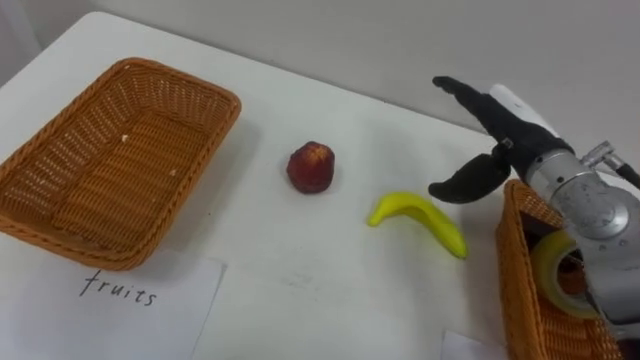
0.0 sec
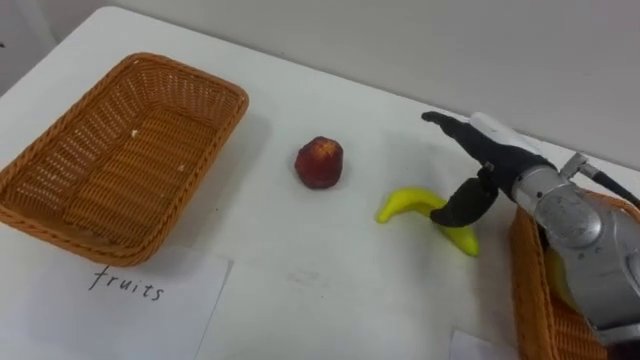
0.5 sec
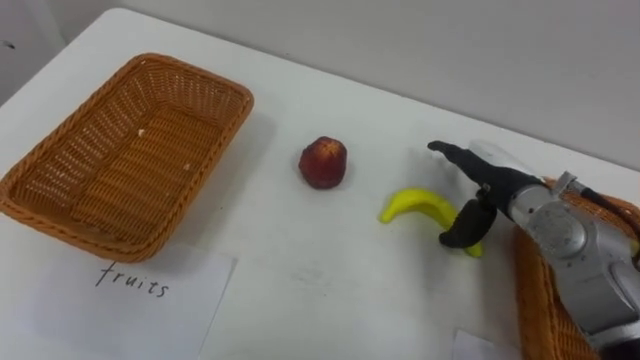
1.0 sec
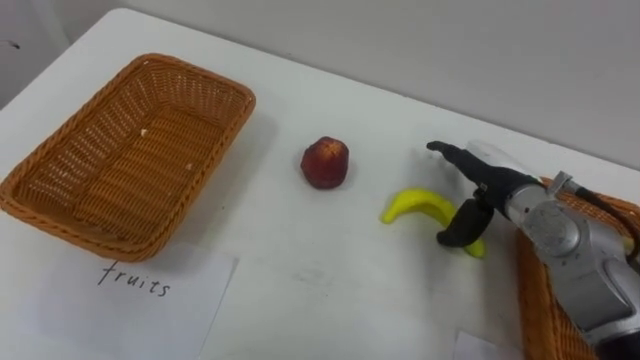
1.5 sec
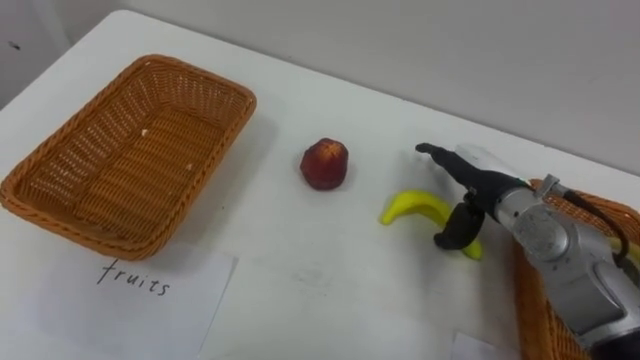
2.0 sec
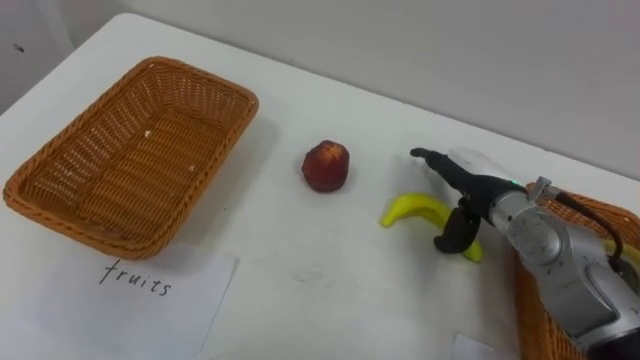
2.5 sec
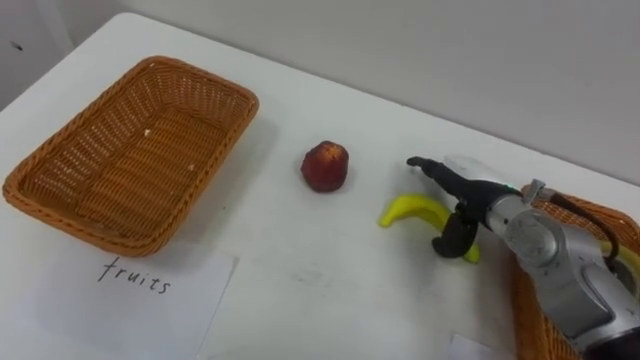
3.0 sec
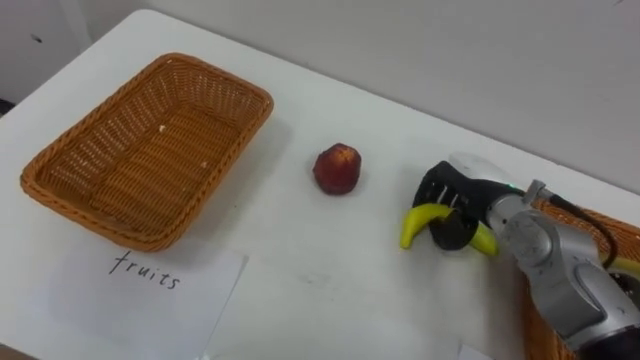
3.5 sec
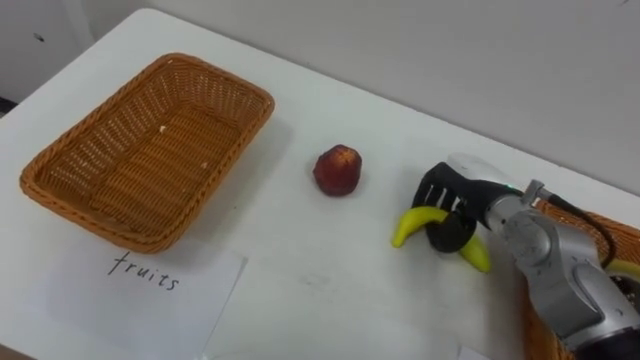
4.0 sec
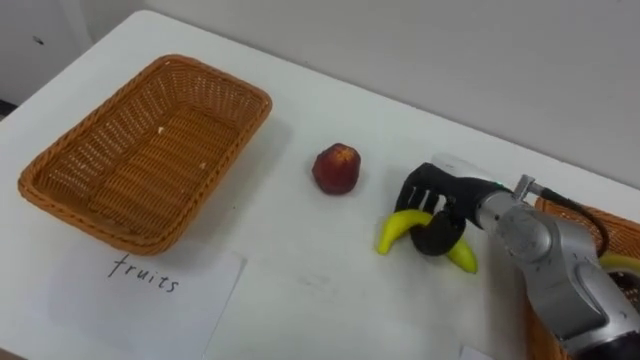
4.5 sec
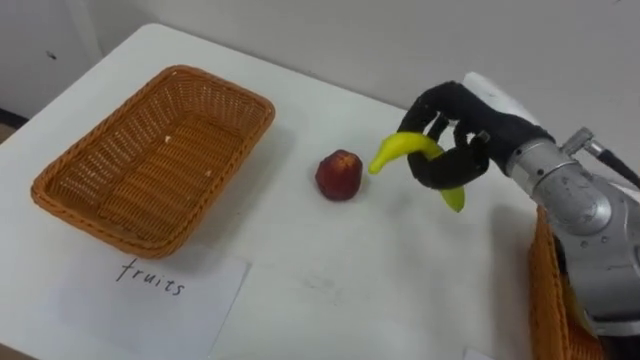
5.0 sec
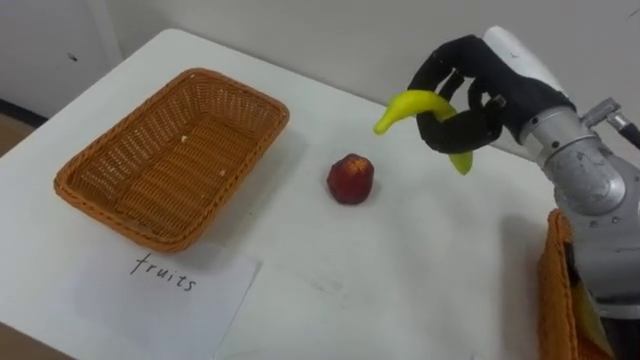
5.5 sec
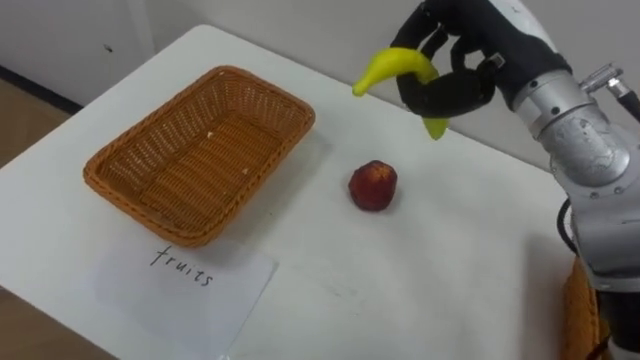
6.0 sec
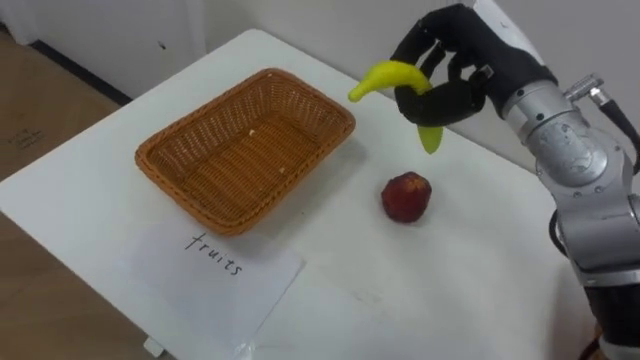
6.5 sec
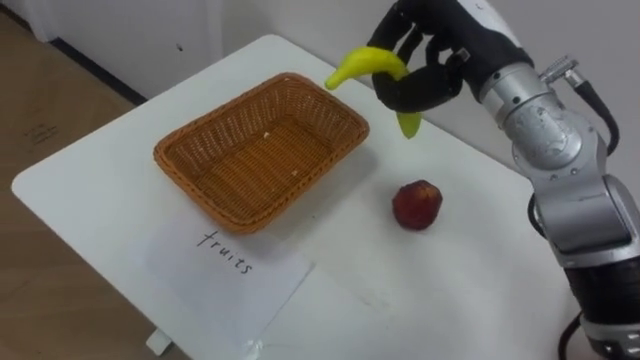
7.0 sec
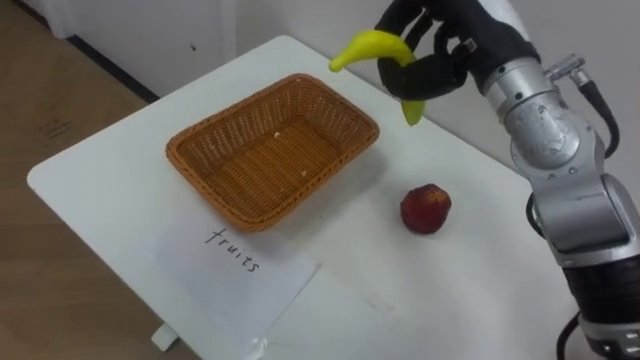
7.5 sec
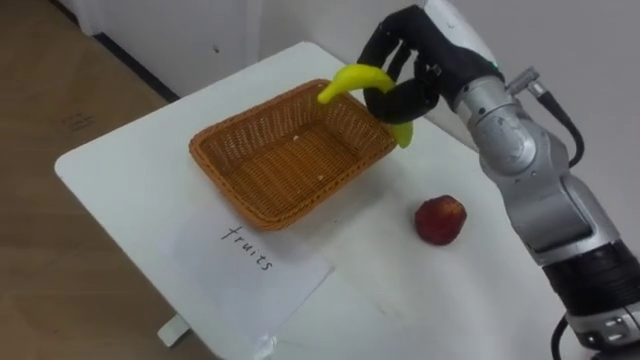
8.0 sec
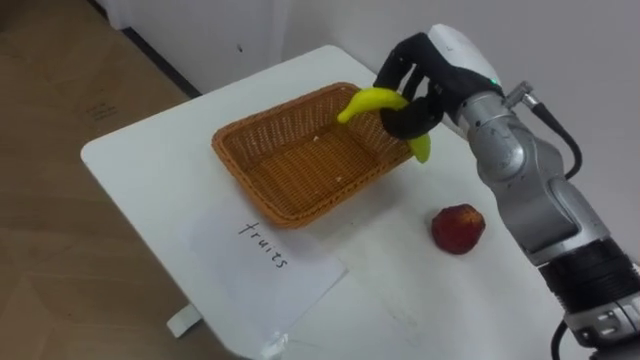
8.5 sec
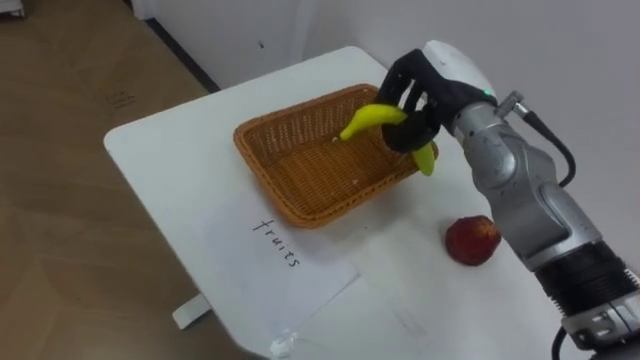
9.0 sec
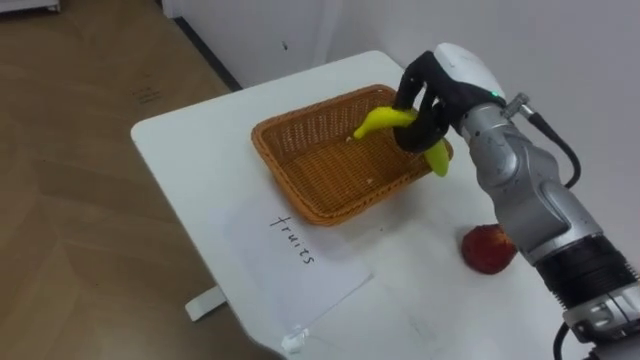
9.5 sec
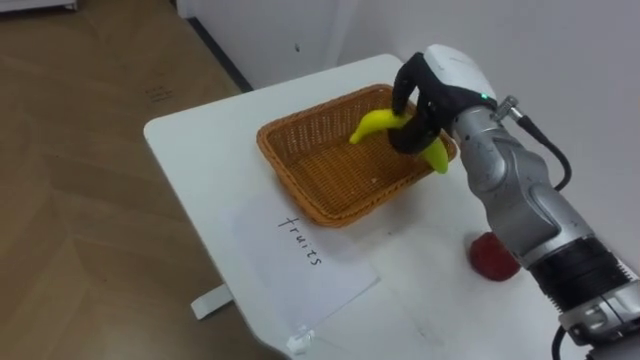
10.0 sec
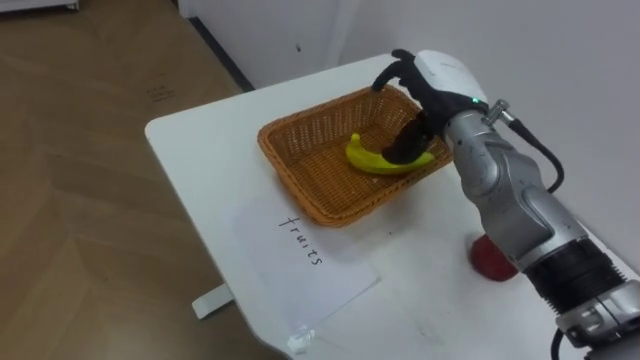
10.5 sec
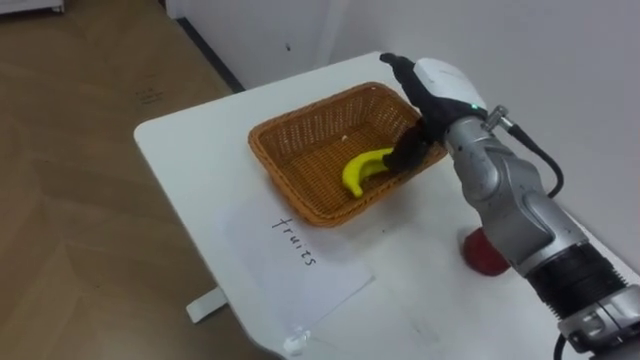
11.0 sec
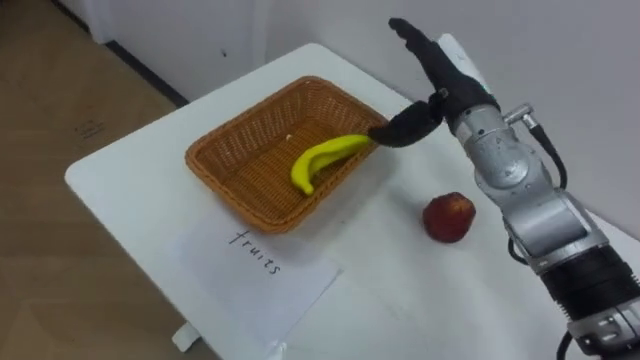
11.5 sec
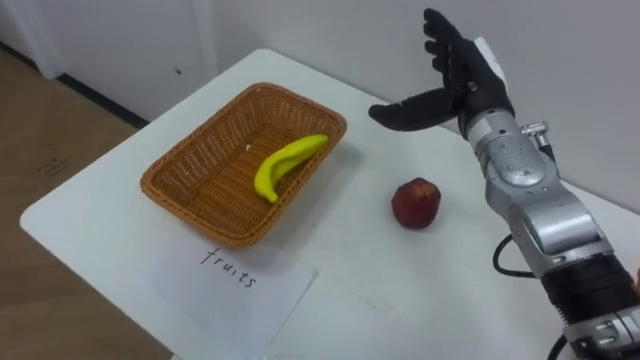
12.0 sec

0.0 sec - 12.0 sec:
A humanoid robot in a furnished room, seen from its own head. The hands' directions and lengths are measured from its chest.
Task of the whole recording: Separate the items on the table and place them into the two baskets.
0.0 sec - 2.0 sec: The right hand heads downward, covering some 10 cm.
2.0 sec - 4.0 sec: The right hand closes.
4.0 sec - 6.0 sec: The right hand goes some 20 cm upward.
6.0 sec - 8.0 sec: The right hand moves roughly 5 cm.
8.0 sec - 10.0 sec: The right hand shifts some 5 cm downward.
10.0 sec - 12.0 sec: The right hand opens its fingers.

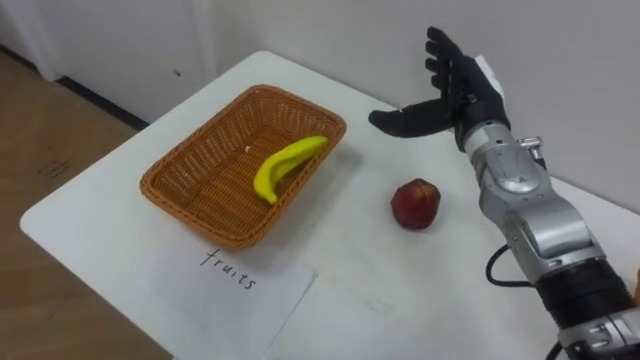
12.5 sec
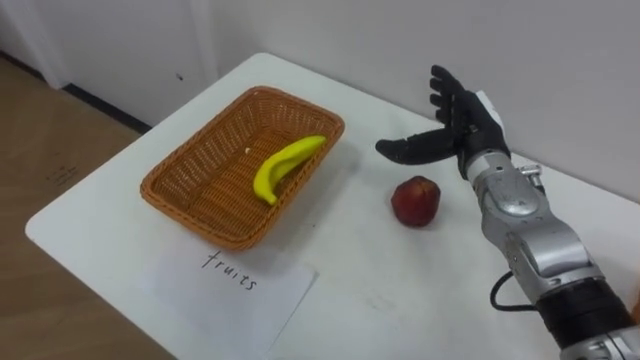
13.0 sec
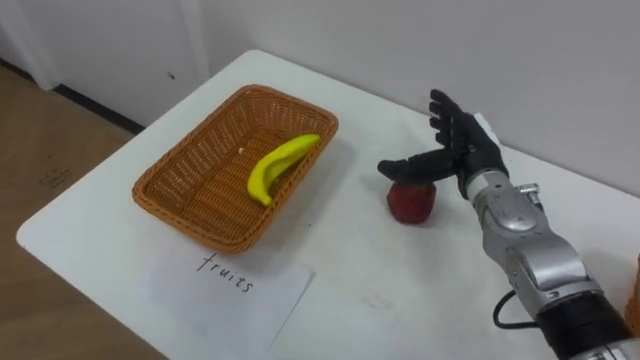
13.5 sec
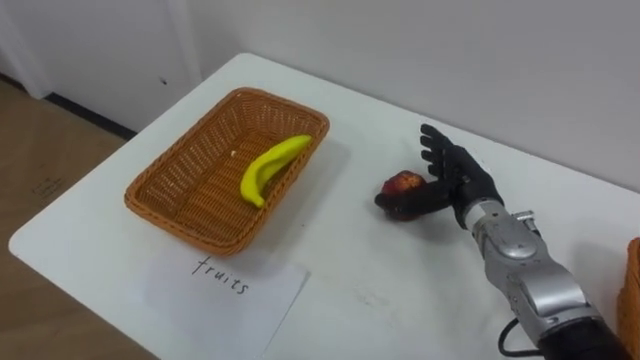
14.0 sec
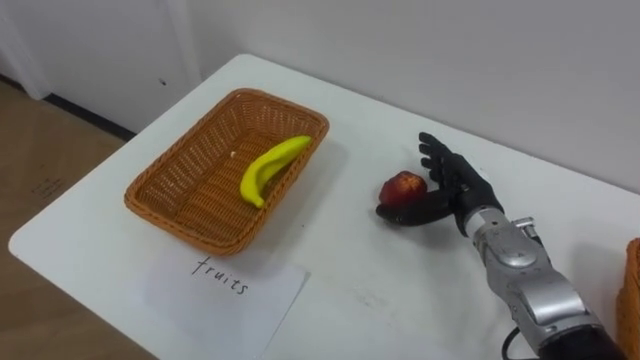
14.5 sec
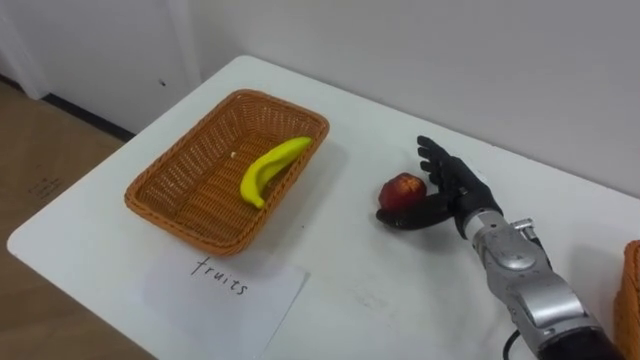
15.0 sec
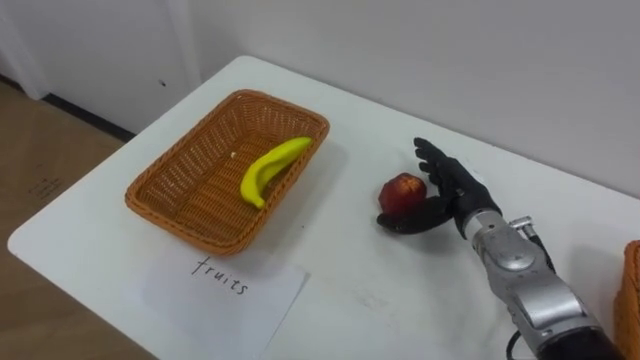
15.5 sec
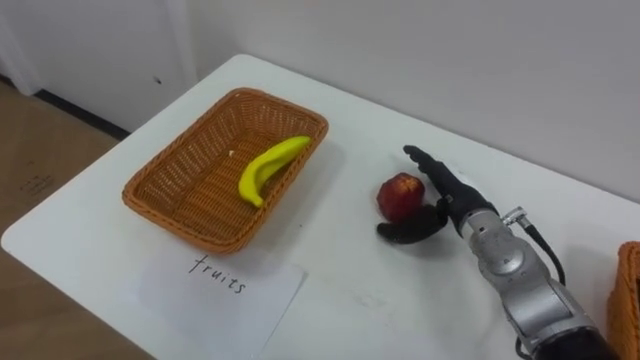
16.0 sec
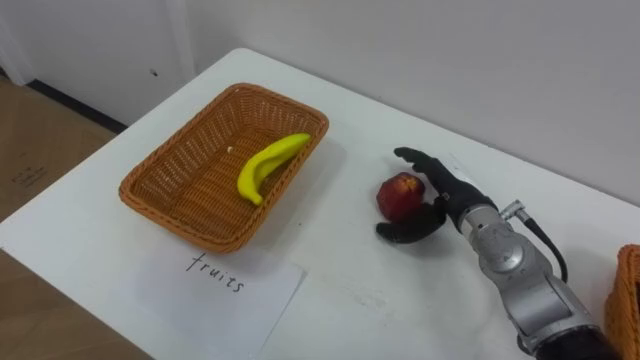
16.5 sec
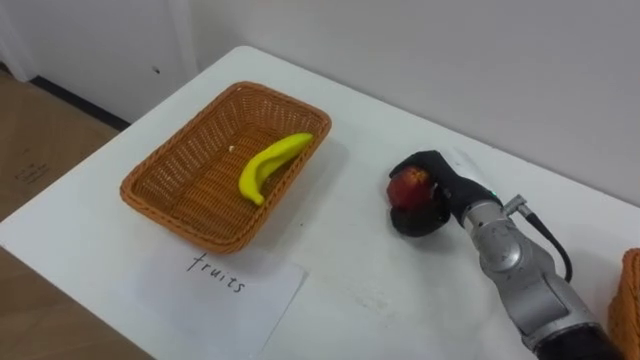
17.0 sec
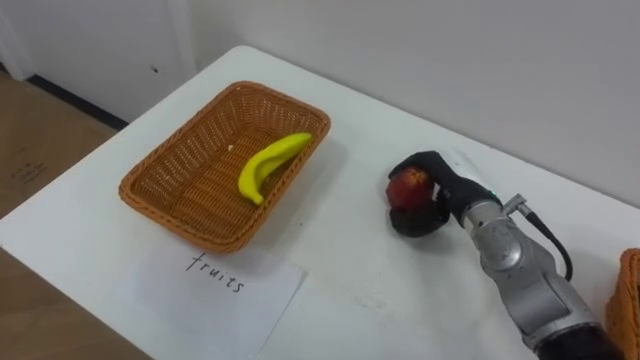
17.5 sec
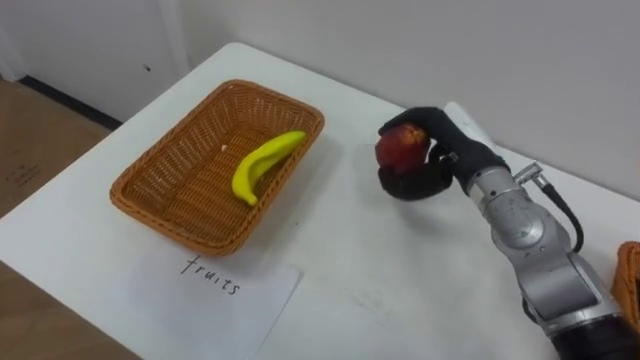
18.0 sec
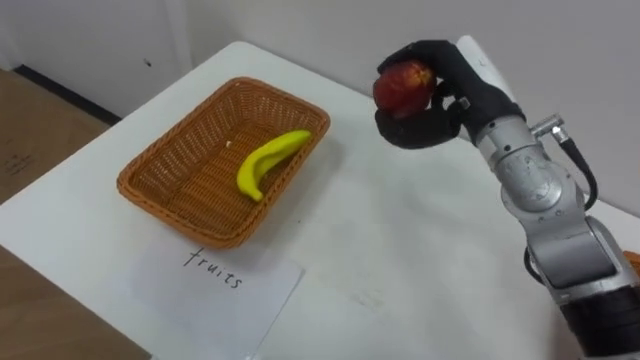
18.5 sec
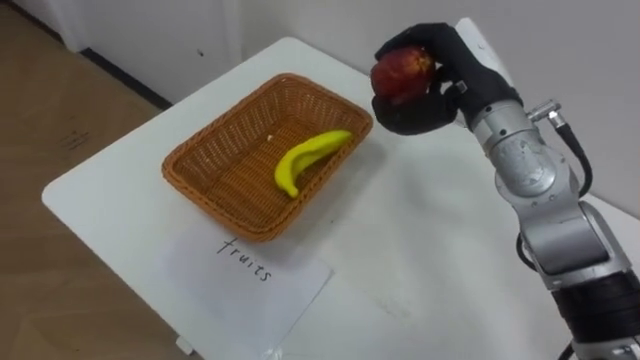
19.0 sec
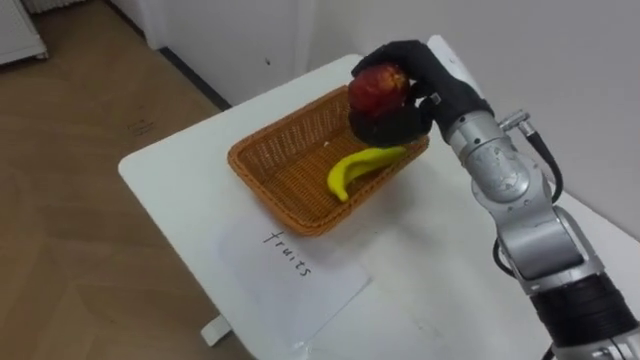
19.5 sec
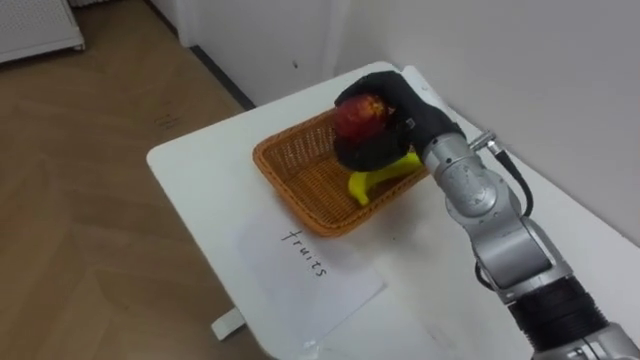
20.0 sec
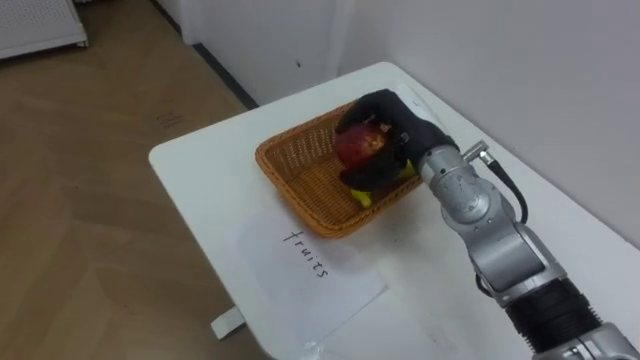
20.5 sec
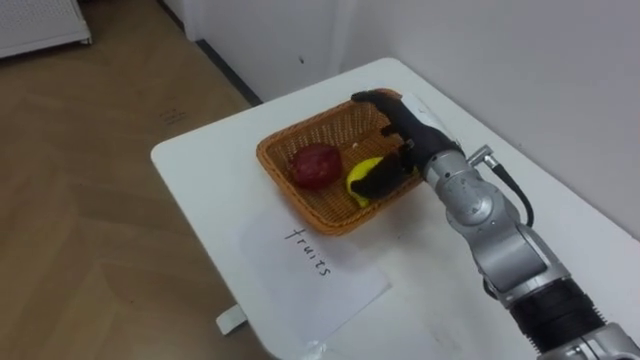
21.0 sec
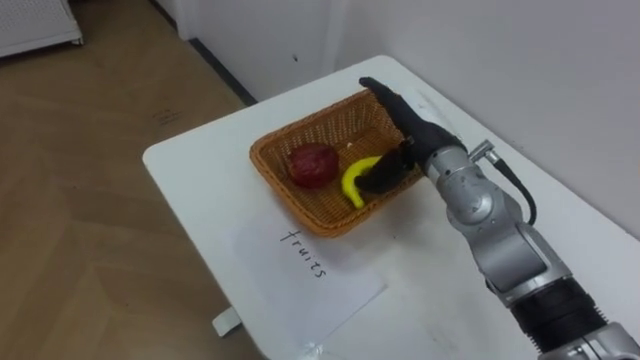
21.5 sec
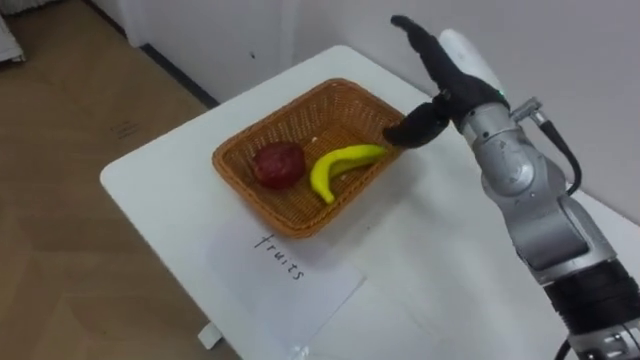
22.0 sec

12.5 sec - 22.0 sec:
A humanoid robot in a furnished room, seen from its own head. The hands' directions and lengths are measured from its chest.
Task of the whole recording: Separate the items on the table and place them into the two baskets.
12.5 sec - 14.5 sec: The right hand goes roughly 10 cm downward and backward.
16.5 sec - 18.0 sec: The right hand heads upward, covering approximately 5 cm, and closes its fingers.
18.0 sec - 20.0 sec: The right hand moves to the left, some 5 cm.
20.0 sec - 22.0 sec: The right hand shifts by roughly 5 cm, and opens.
